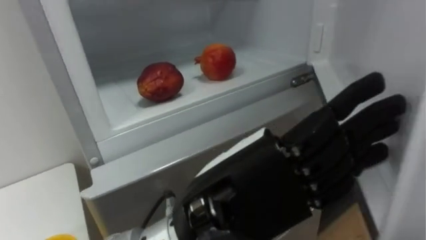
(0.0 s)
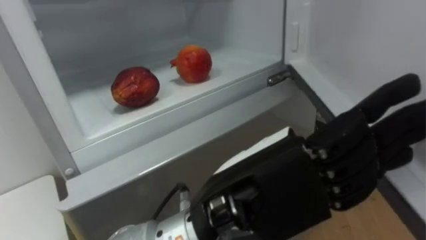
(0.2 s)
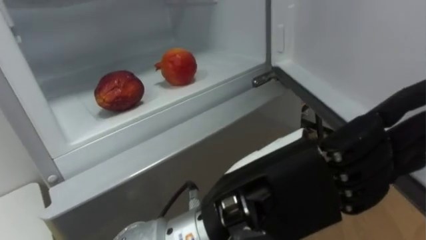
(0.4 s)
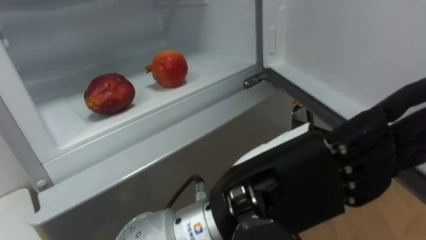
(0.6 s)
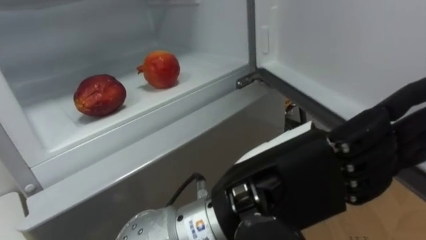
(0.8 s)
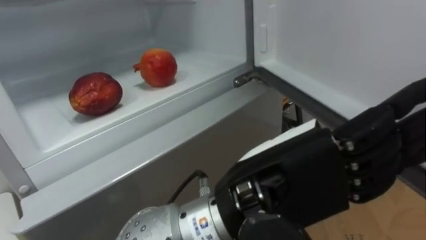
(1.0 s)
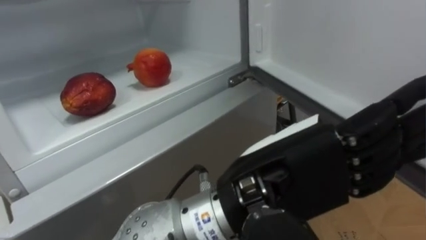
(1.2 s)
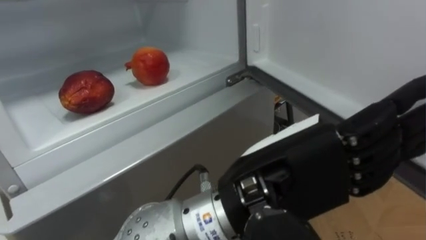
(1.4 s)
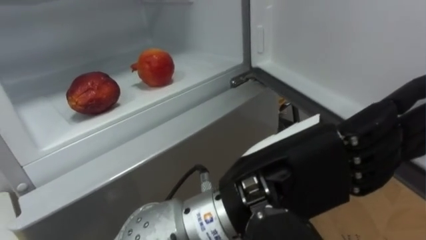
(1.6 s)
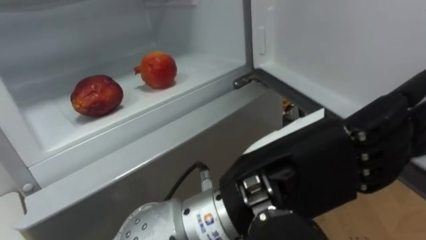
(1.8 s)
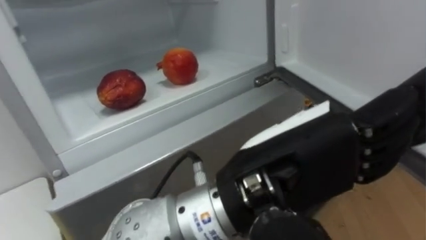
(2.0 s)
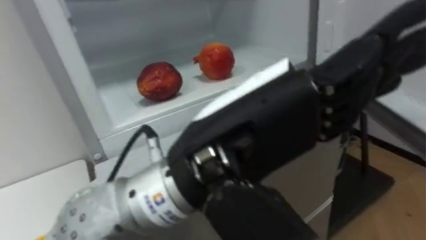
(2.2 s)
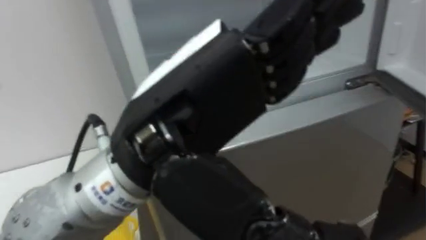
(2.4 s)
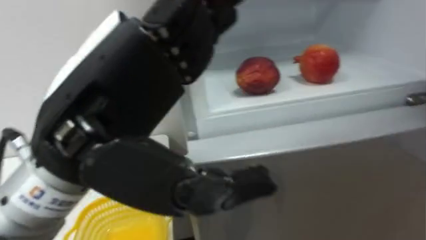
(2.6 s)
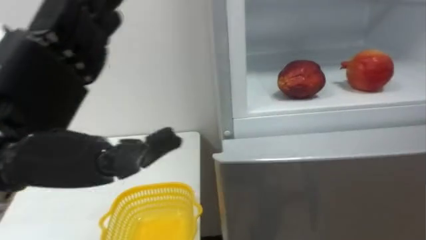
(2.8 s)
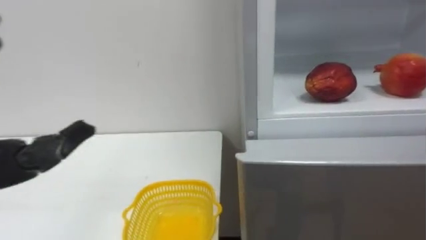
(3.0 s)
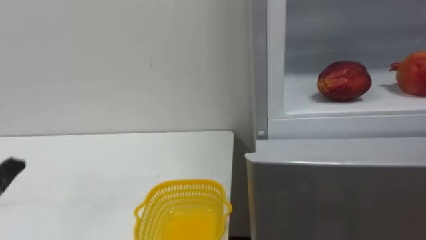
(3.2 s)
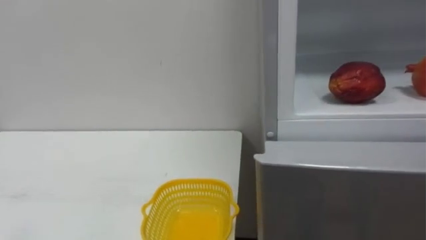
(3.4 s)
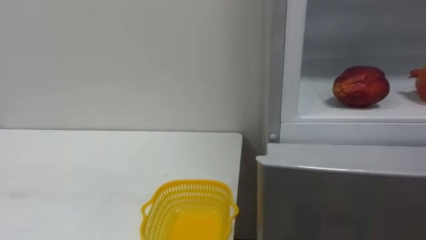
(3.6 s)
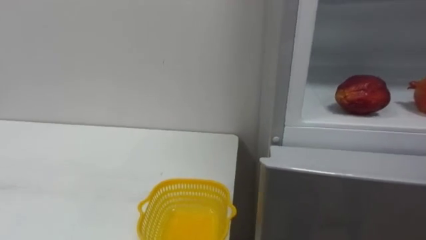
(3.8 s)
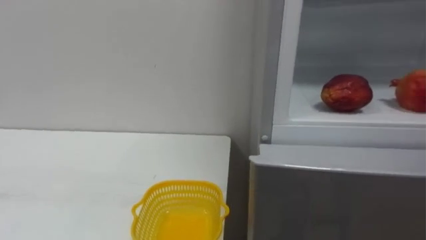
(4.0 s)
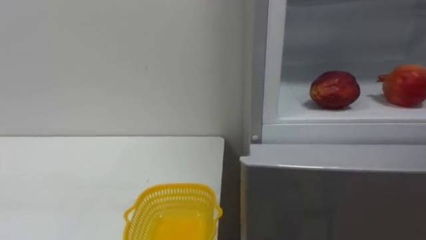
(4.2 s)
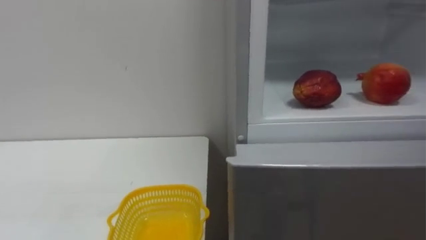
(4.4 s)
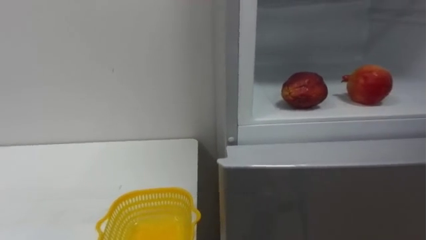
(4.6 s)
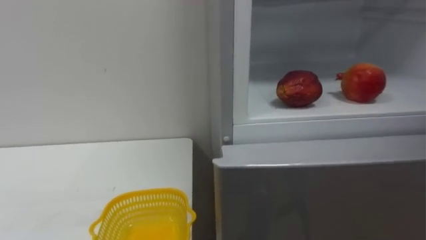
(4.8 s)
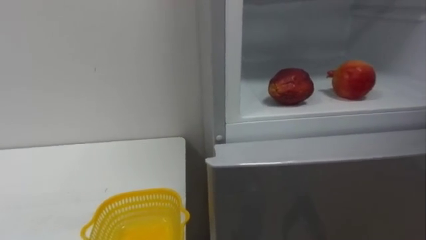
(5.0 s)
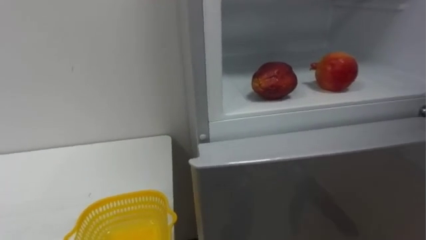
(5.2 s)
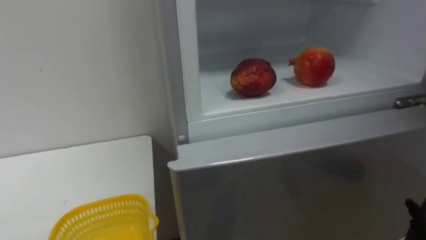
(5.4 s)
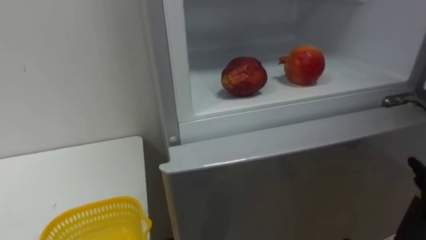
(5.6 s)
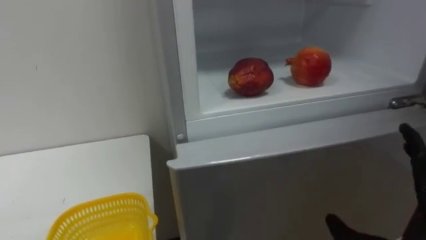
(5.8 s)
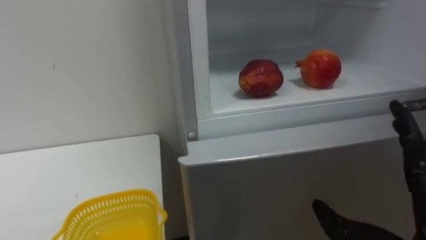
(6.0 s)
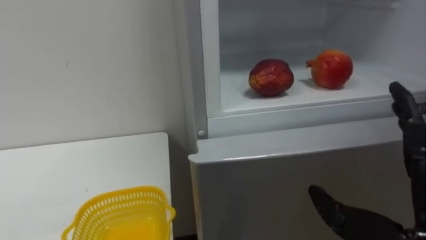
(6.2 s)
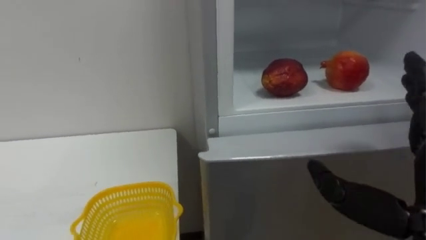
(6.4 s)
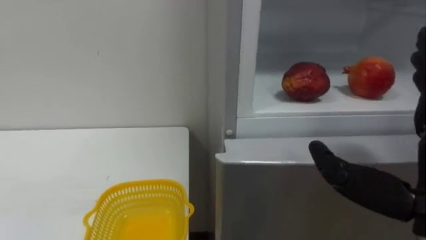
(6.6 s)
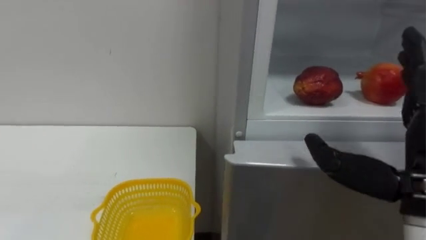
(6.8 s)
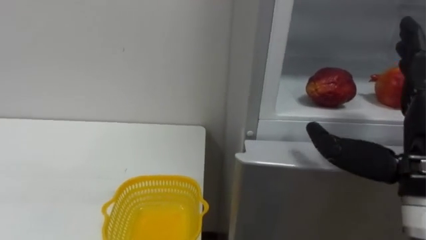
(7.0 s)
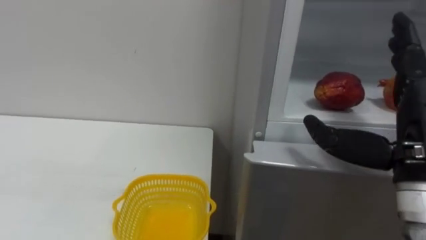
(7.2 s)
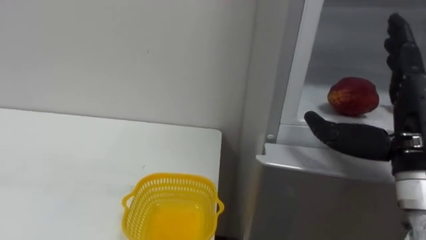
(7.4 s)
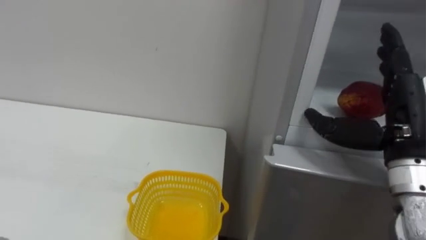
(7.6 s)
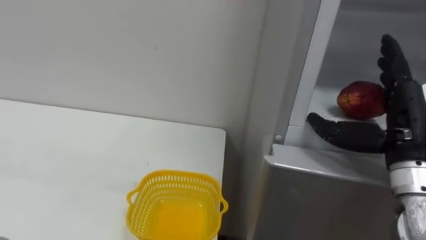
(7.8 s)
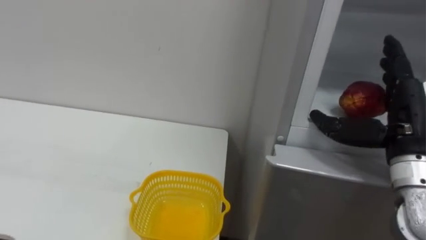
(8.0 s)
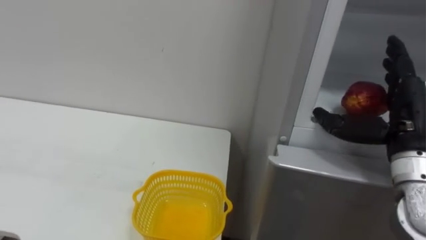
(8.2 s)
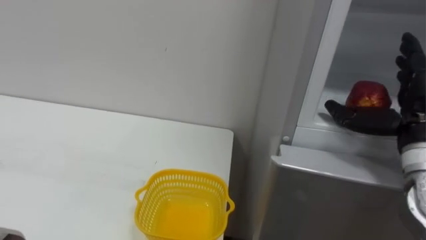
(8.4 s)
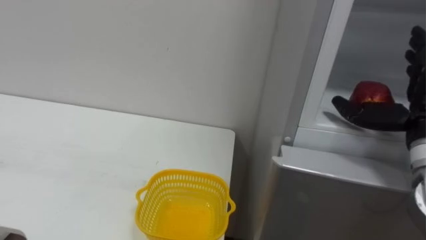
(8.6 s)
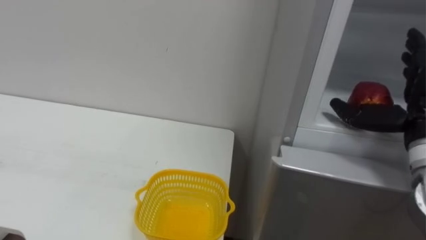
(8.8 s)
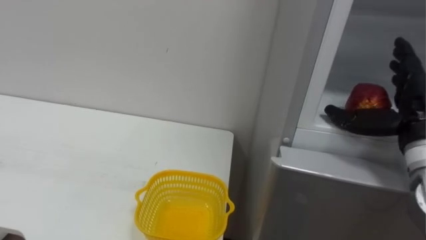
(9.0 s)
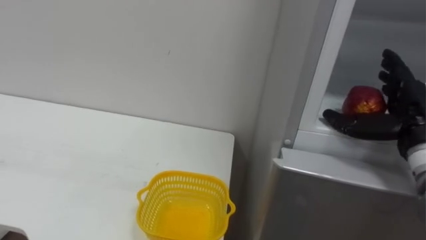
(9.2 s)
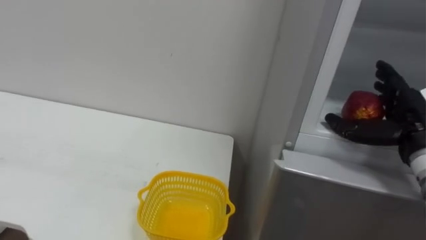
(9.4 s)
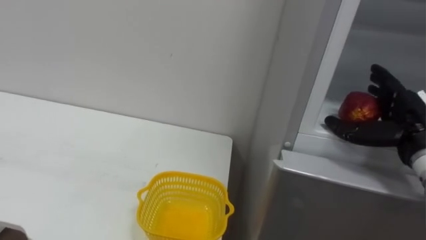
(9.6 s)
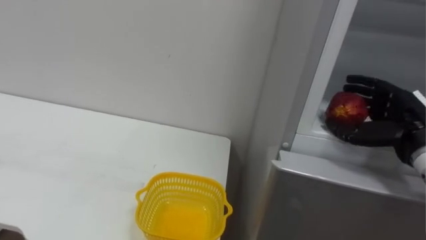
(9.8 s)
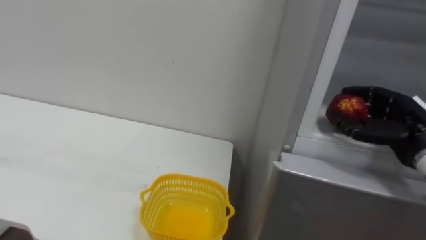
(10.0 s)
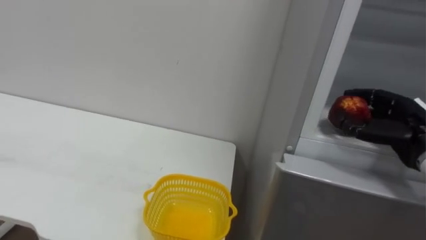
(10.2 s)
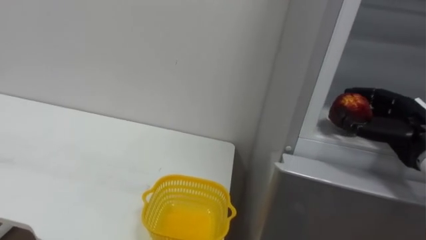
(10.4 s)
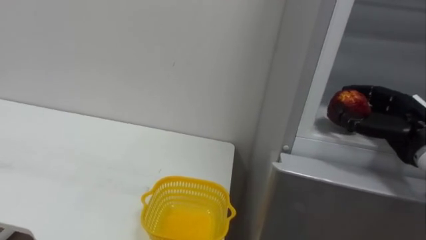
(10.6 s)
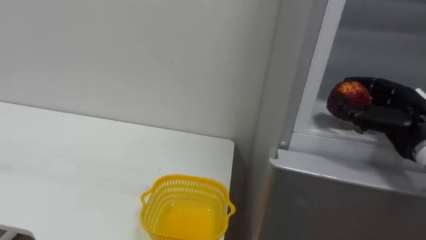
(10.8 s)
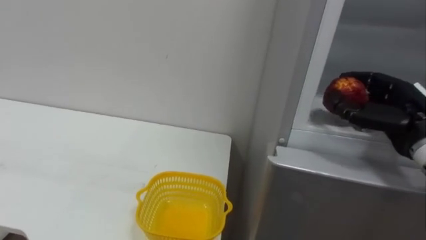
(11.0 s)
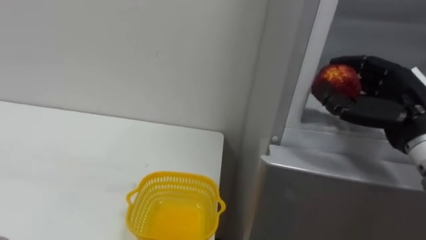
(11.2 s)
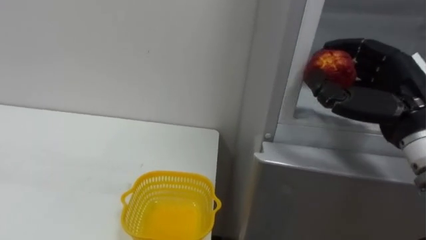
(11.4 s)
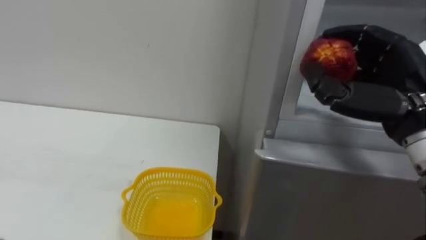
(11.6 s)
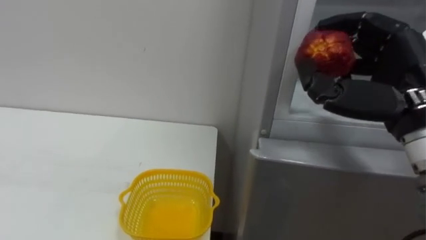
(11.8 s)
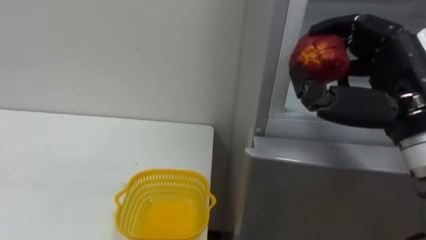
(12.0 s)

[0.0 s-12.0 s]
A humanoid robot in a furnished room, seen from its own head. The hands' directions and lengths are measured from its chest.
Task of the whole recording: Open the refrigerator door, take out the apple and the pomegranate, place them in the fruit basket on the left, and close the refrigerator door.
6.0 to 7.6 s: The right hand shifts about 15 cm forward and upward.
7.6 to 9.0 s: The right hand ends up approximately 5 cm from where it was.
9.0 to 10.4 s: The right hand travels downward by roughly 5 cm, and closes up.
10.4 to 12.0 s: The right hand heads upward, to the left and backward, covering roughly 20 cm.

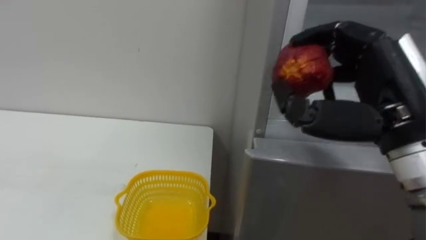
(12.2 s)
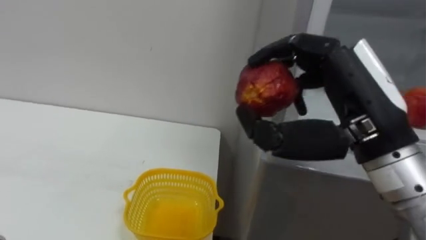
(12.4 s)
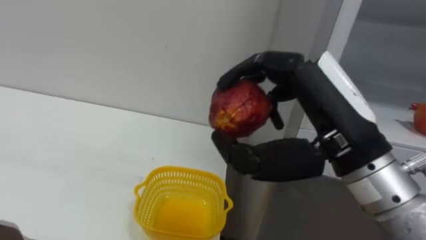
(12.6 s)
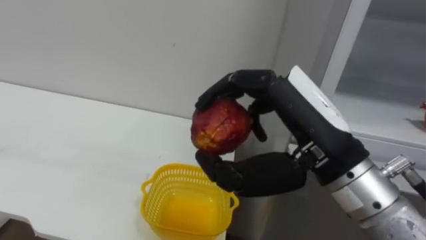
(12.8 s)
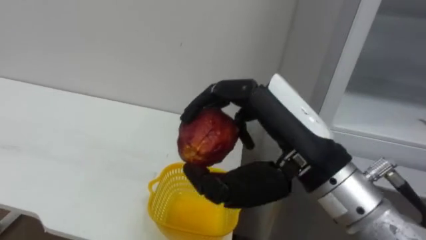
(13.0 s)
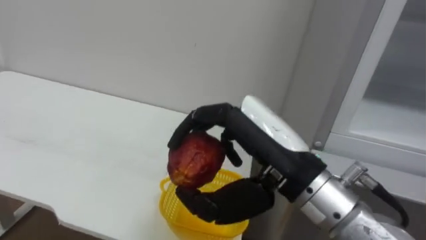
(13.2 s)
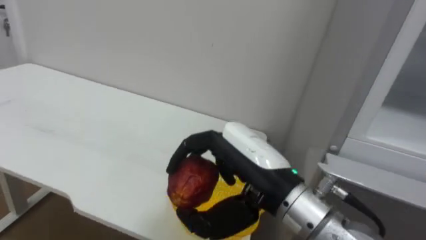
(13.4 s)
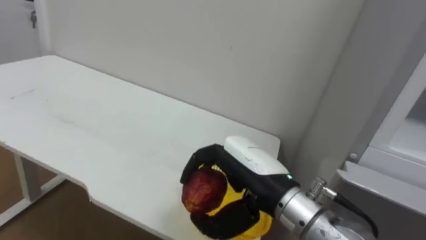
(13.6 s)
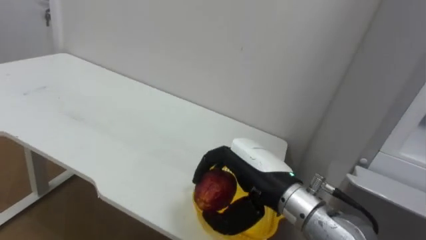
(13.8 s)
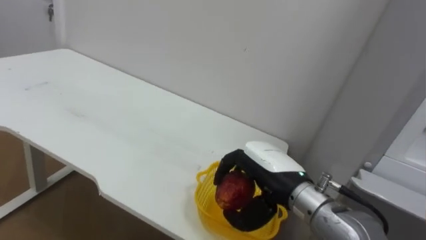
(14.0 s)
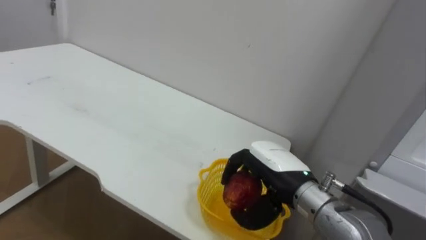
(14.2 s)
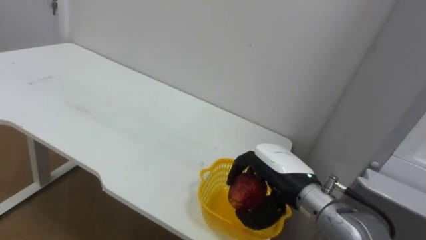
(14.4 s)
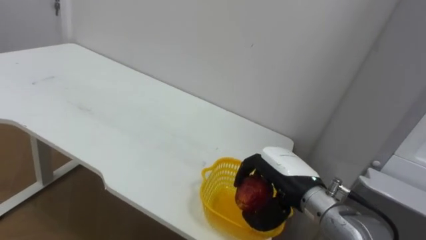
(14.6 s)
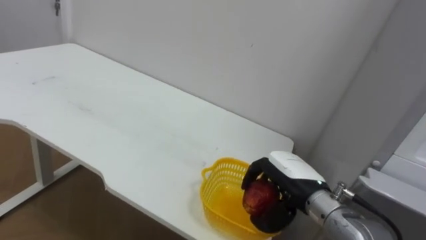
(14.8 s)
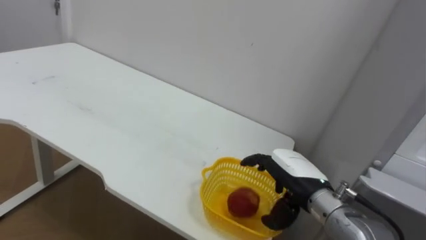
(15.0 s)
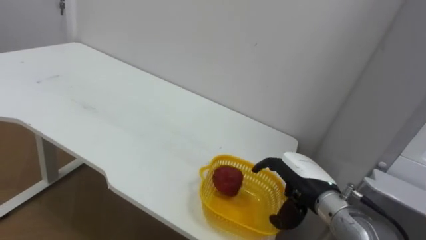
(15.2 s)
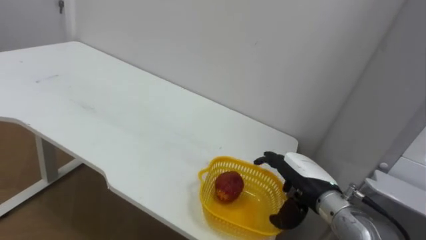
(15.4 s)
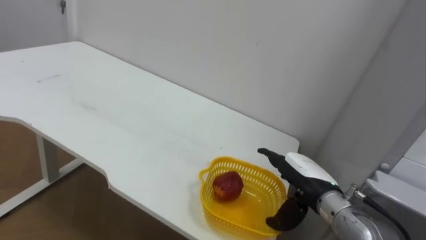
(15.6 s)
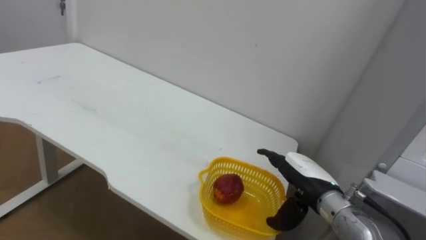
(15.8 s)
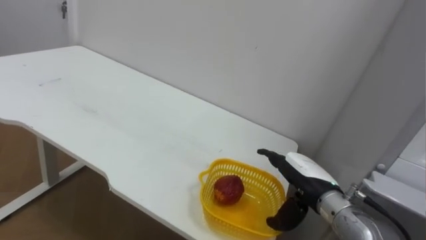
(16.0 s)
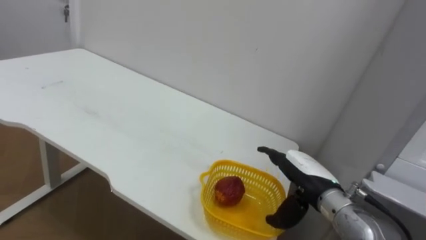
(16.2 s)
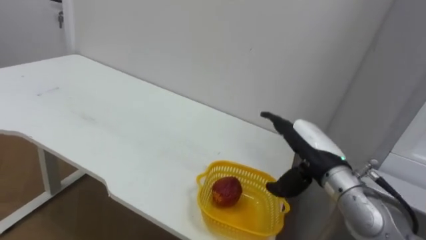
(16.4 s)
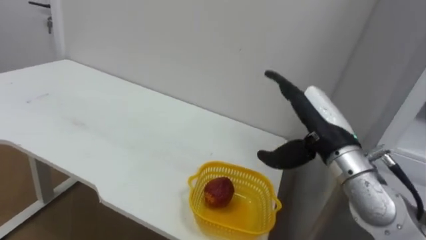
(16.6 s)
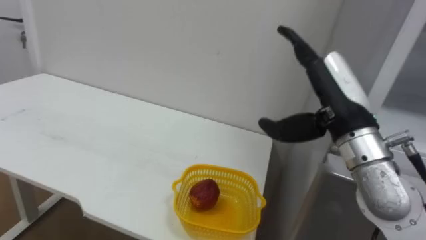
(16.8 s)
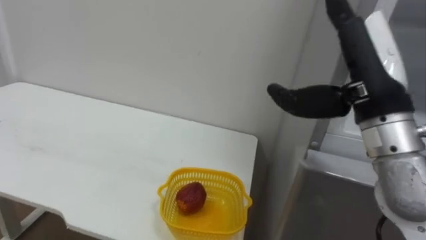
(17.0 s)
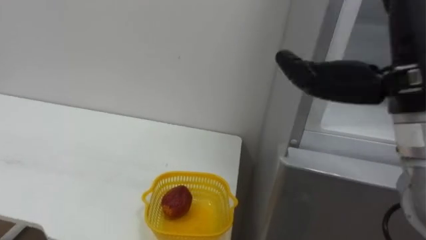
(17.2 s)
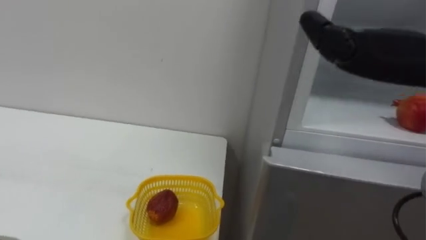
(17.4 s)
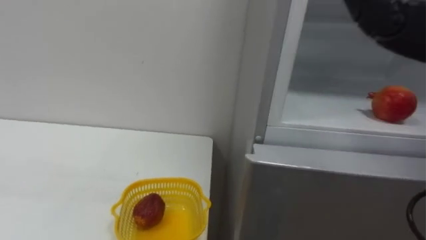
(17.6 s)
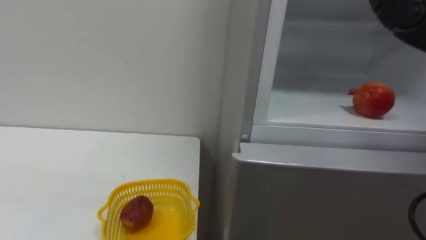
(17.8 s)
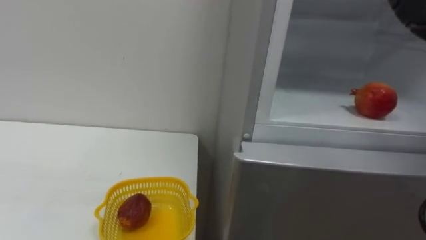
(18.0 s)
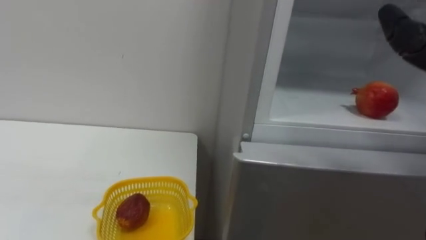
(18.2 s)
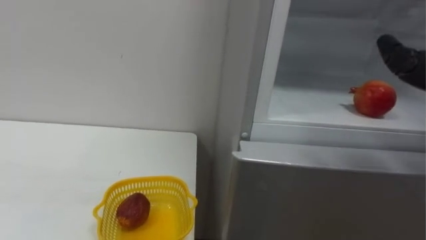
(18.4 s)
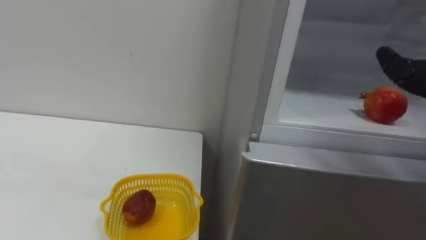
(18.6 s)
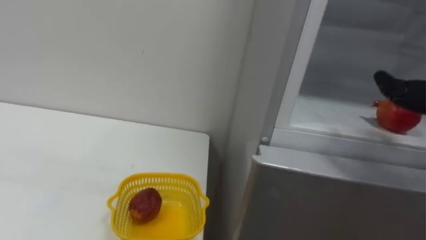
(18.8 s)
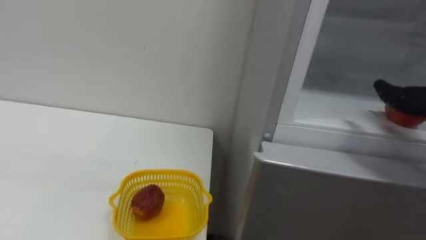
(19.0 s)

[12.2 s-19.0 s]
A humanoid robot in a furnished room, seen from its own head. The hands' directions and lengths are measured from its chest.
Task of the whole recording: Open the refrigerator door, take out the apple and the pomegranate, place them in the fruit basket on the left, and close the refrigerator door.
12.2 to 13.6 s: The right hand travels to the left and downward by roughly 20 cm.
13.6 to 15.0 s: The right hand goes roughly 15 cm to the right, downward and forward.
15.0 to 16.2 s: The right hand opens up.
